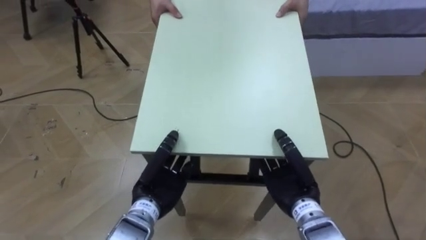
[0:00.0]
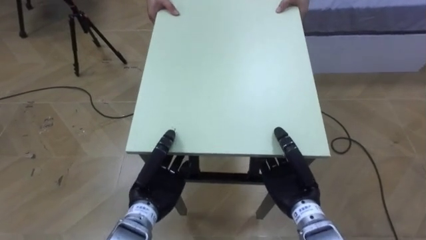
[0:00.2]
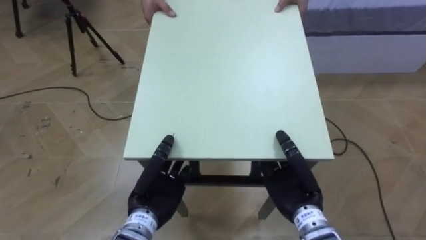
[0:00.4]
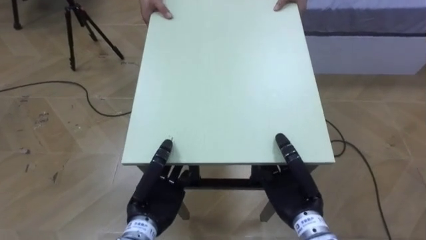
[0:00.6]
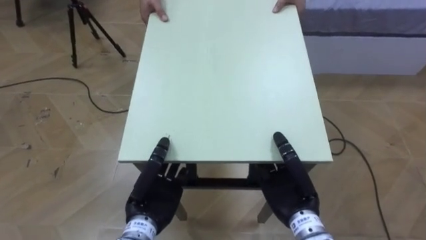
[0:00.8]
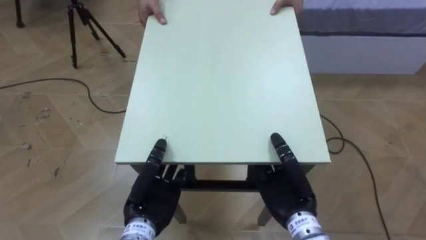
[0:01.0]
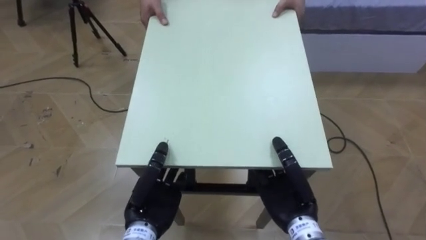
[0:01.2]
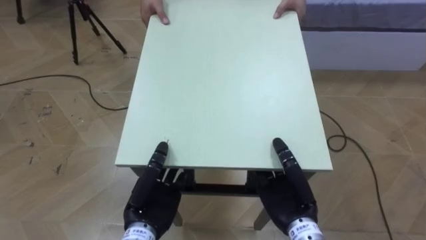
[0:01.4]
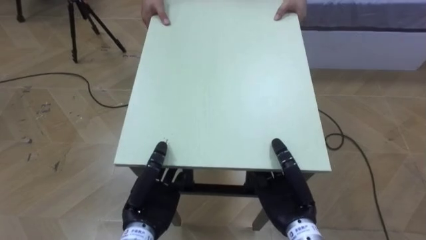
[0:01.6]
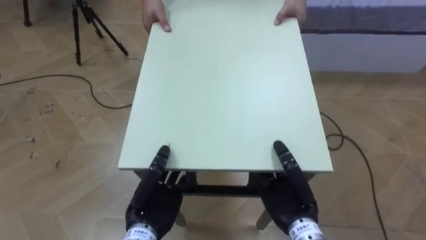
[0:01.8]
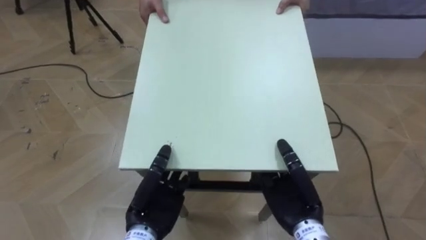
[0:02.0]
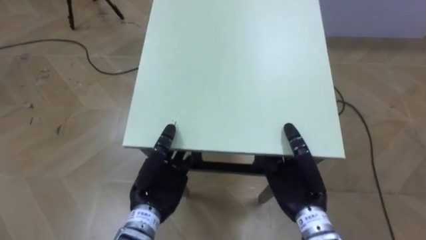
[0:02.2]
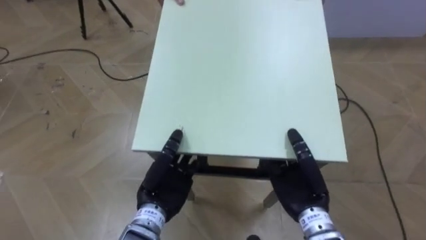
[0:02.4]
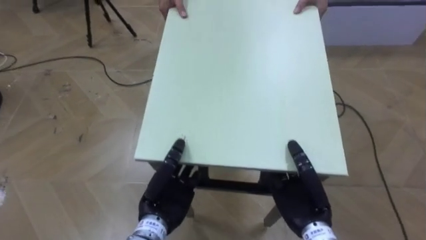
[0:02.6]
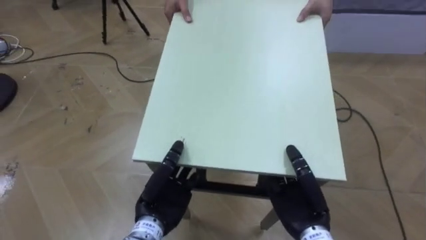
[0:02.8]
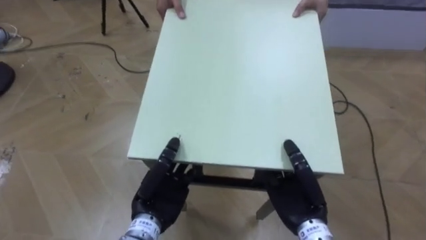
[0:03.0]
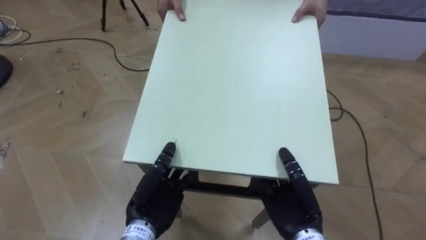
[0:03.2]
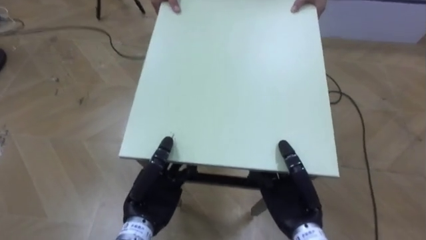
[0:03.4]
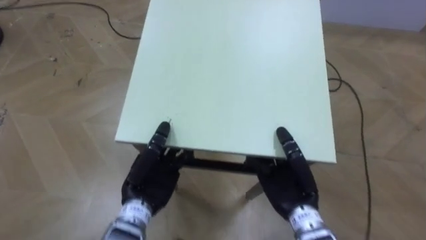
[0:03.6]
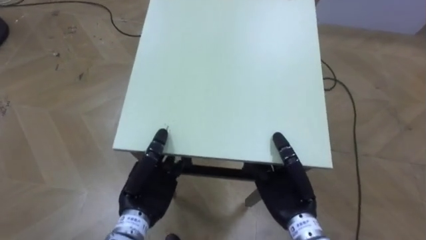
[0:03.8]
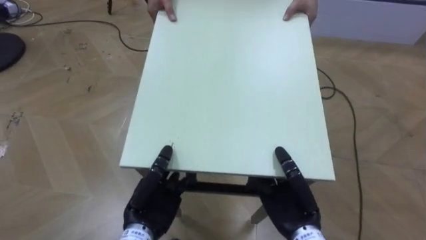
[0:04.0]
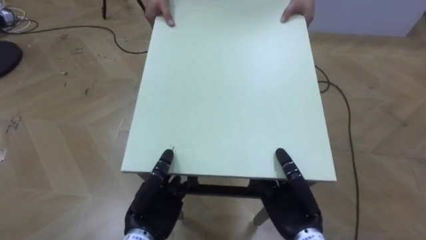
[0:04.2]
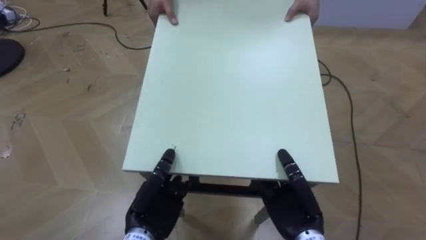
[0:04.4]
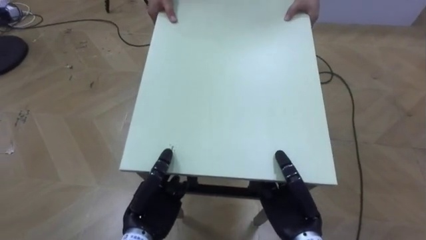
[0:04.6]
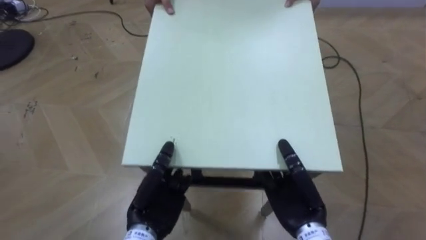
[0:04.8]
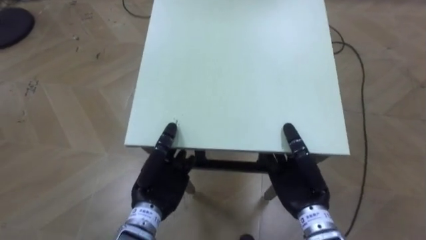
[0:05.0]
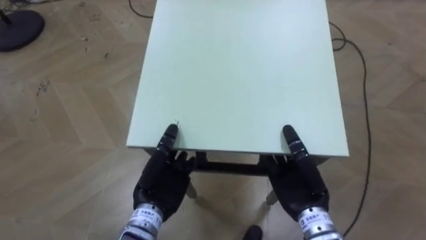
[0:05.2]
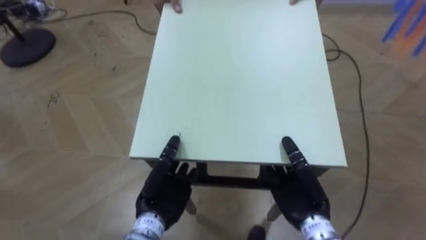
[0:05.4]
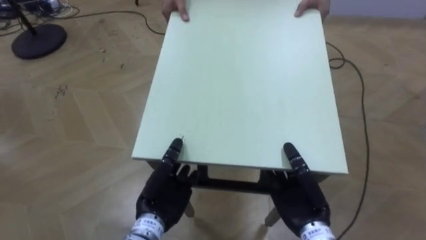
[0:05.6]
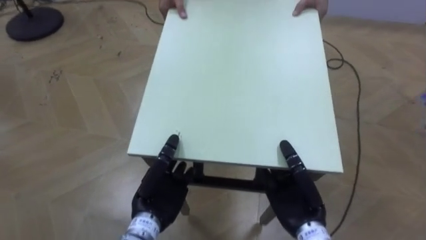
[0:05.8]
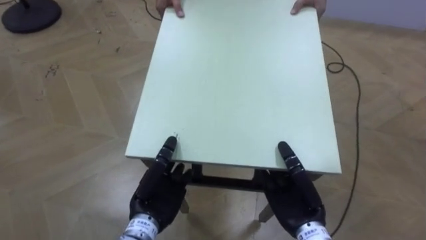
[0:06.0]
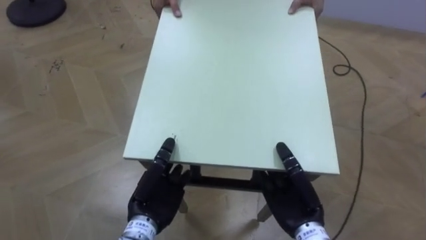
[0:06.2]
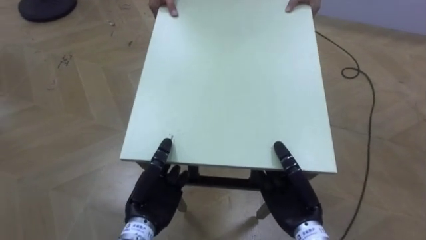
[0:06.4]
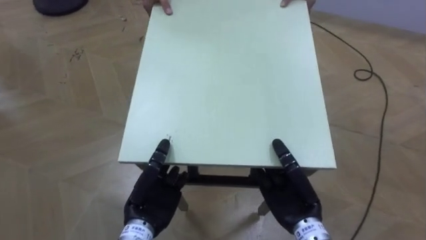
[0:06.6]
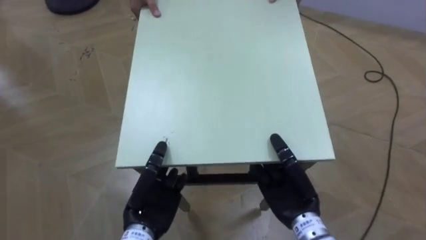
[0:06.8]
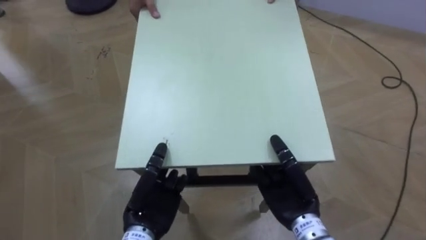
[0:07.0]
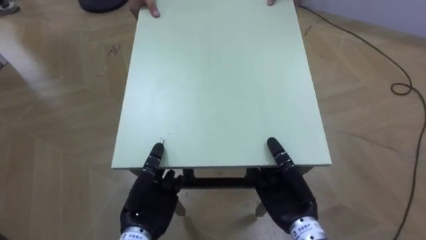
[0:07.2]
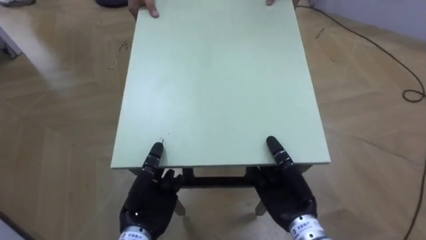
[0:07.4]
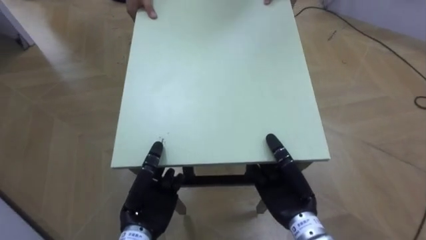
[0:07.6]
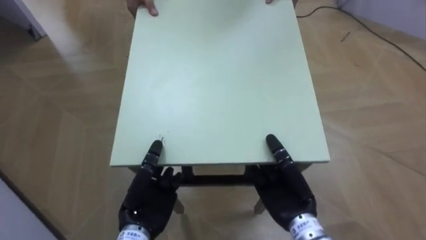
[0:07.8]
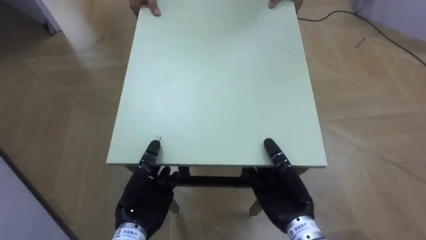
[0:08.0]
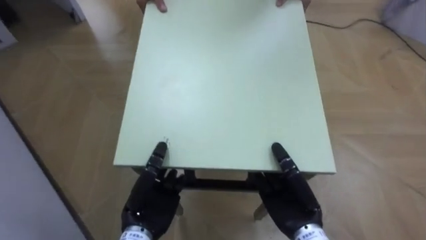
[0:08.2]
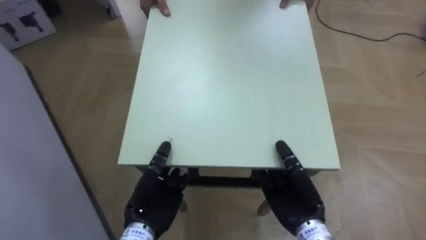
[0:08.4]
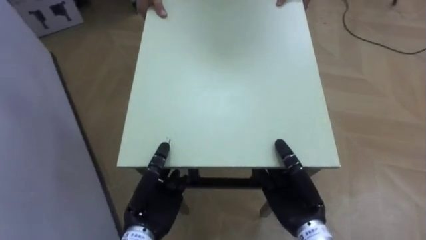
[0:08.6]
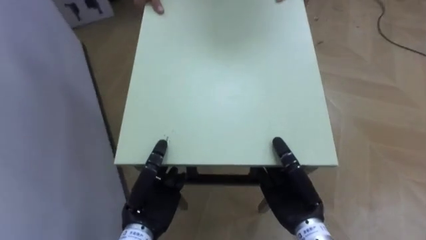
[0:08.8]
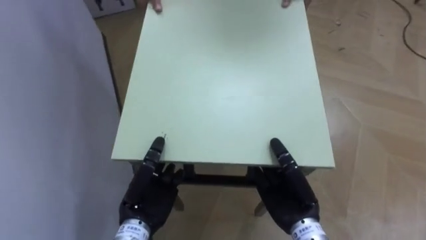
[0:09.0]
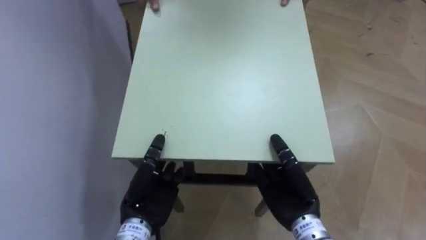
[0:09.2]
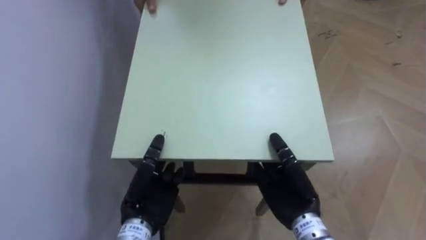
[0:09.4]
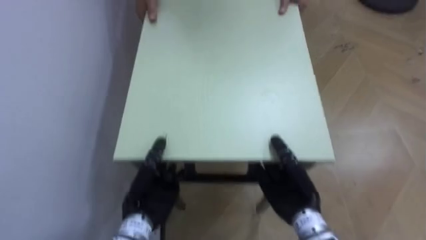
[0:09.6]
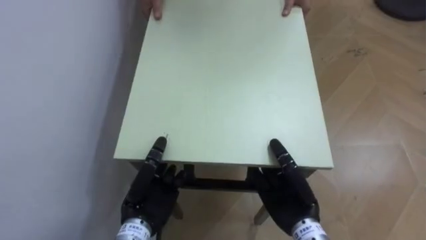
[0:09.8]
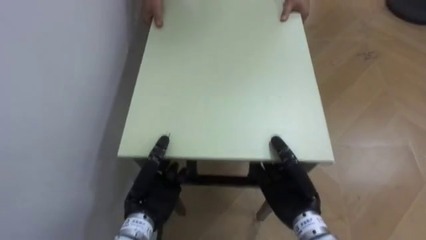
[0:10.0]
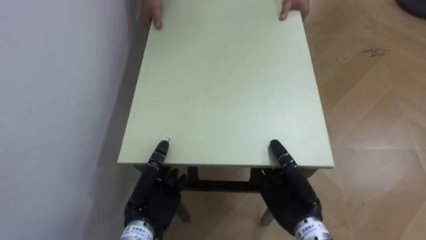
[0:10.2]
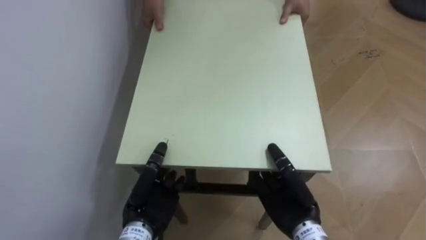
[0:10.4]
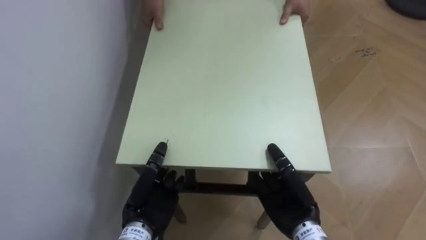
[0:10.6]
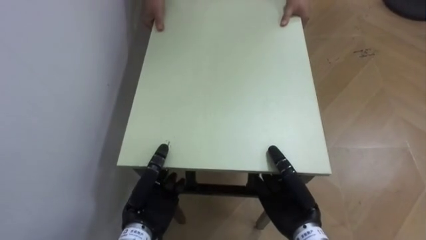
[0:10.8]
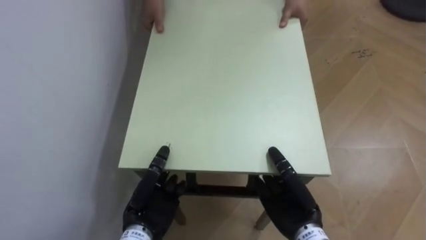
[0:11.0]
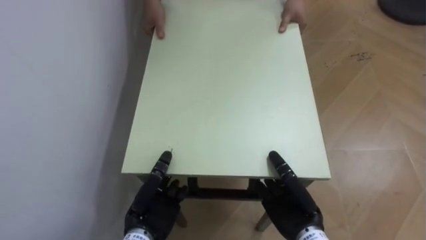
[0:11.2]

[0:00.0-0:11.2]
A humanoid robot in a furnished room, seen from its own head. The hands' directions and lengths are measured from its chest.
Task of the whole recording: Move the table to the back left with someone.
0:06.4 to 0:08.0: The robot faces approximately 20 degrees further to its left.
0:08.0 to 0:09.6: The robot's body swings approximately 50 degrees to its left.

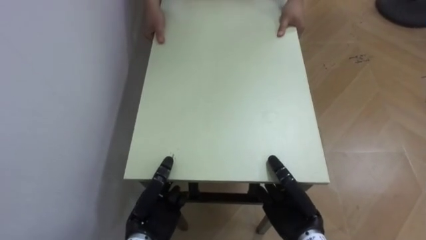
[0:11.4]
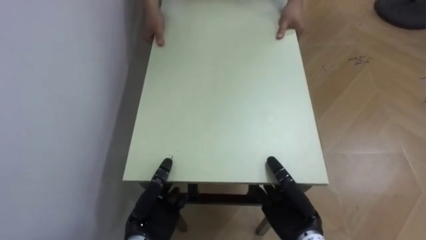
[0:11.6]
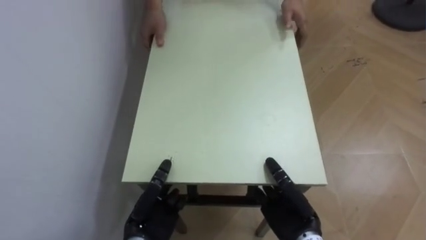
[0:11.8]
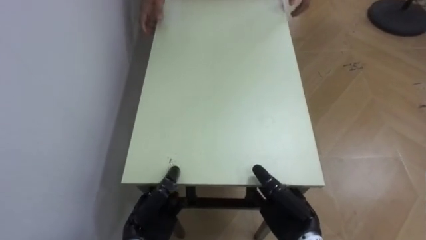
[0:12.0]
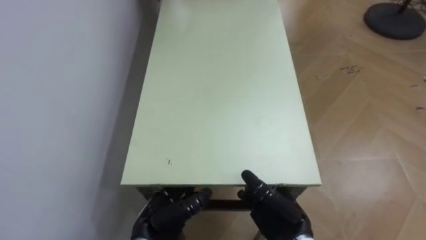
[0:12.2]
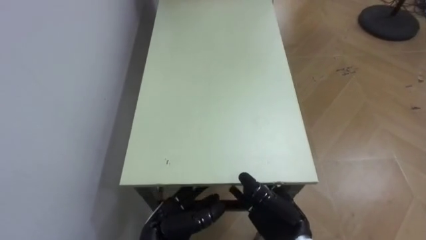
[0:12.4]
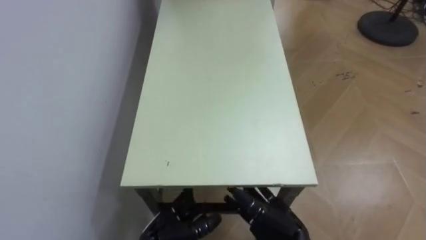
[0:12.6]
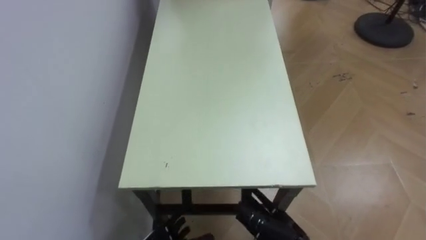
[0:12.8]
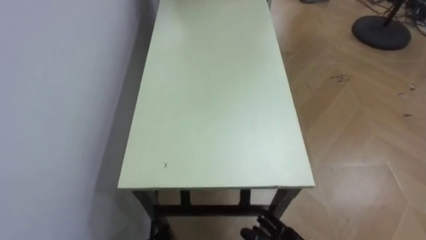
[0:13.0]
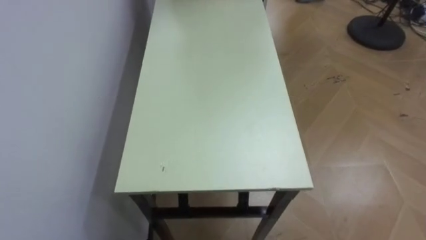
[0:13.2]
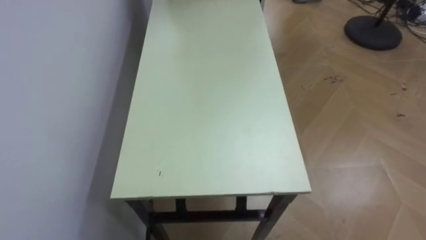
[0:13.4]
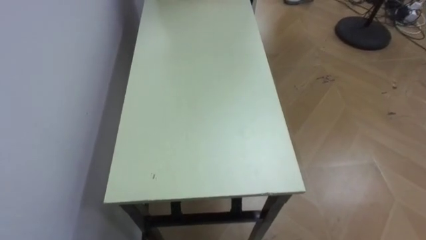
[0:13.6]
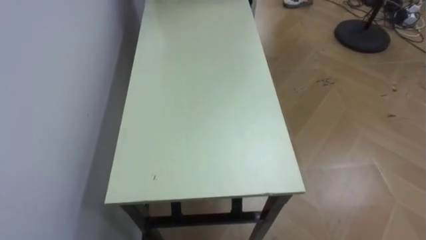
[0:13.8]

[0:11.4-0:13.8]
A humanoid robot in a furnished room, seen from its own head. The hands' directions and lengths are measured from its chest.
Task of the whole recording: Move the table to the back left with someone.
0:11.4 to 0:12.6: The right hand opens its fingers. The left hand changes place by roughly 5 cm, and opens up.

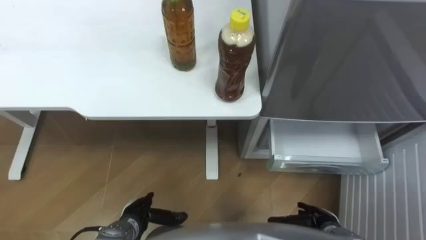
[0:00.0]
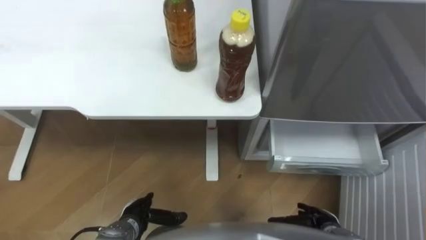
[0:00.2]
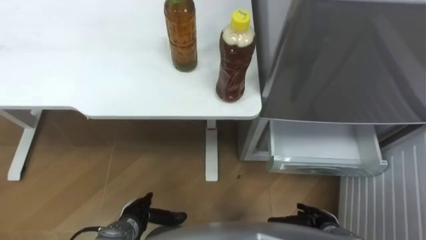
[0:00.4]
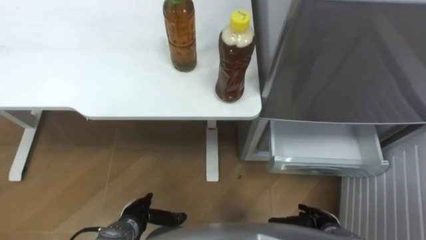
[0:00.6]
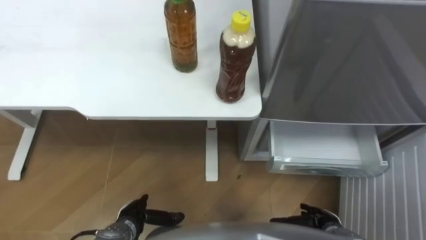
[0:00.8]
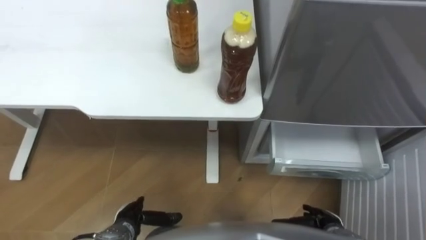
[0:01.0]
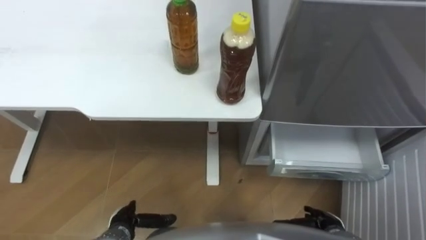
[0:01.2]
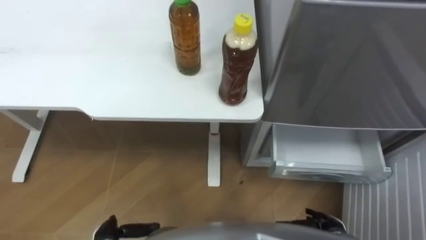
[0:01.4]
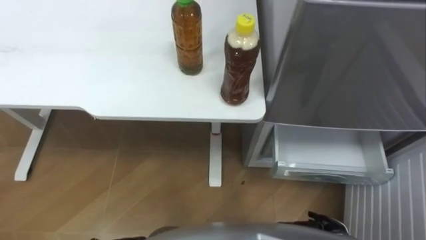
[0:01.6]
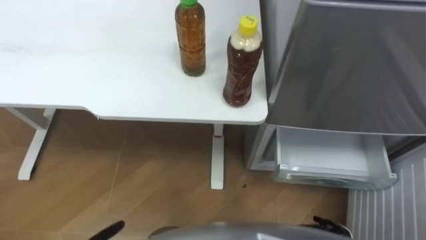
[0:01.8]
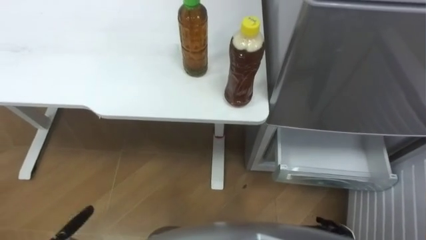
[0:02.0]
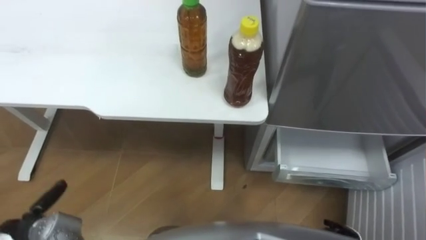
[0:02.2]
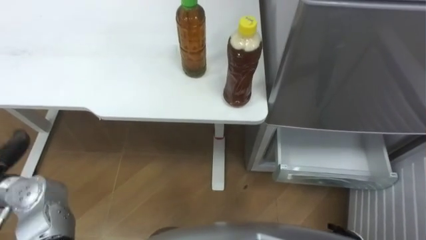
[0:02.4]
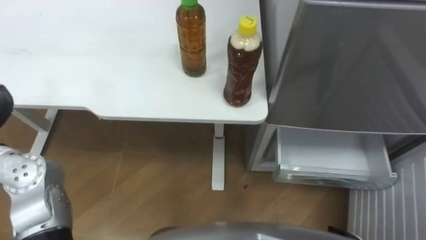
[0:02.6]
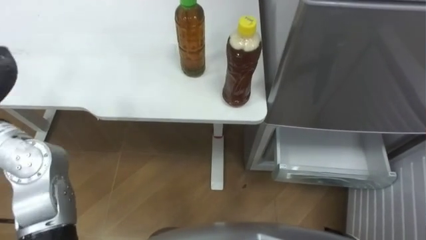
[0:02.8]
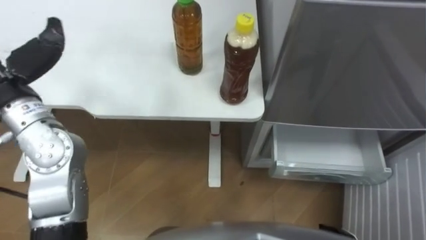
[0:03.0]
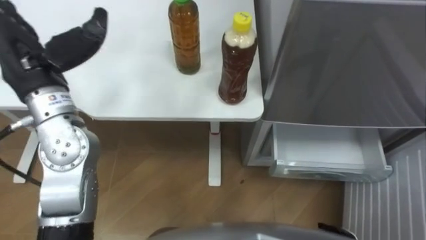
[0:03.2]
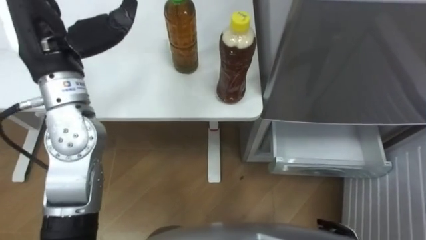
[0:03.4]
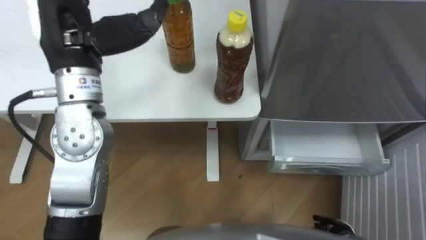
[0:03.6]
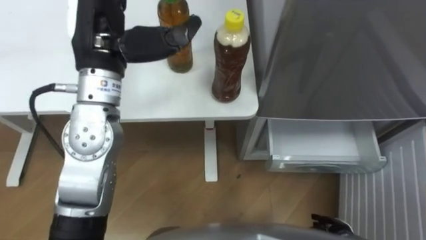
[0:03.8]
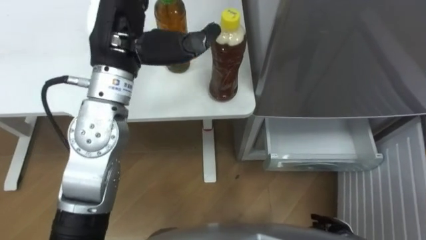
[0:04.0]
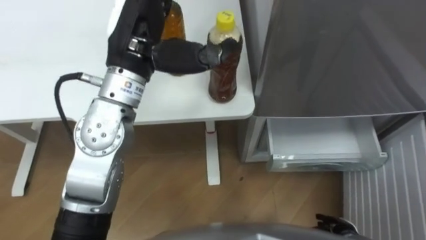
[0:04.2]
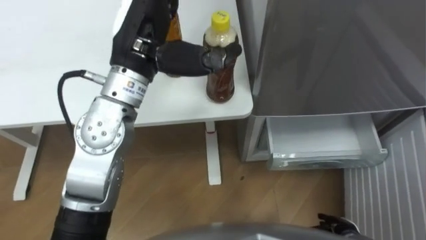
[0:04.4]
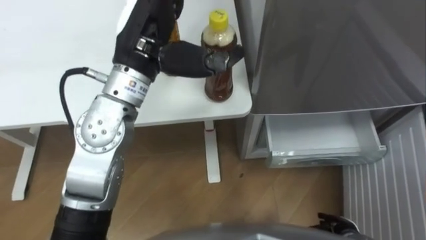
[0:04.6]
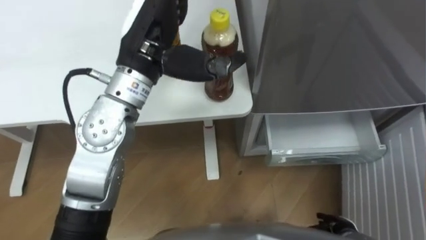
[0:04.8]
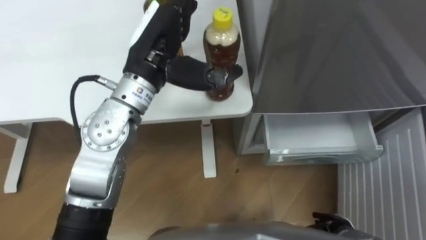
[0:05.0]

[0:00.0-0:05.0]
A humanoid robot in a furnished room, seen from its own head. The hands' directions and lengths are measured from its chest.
Task of the whole recording: Place the drink on the table on the bottom shelf of the refrigerator, then close the drawer and the refrigerator door.
0:03.4 to 0:05.0: The left hand travels to the right by some 15 cm.
